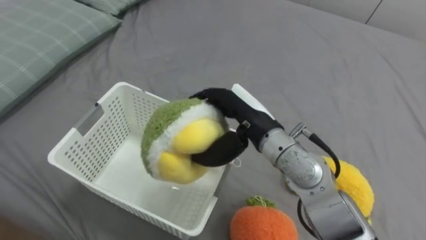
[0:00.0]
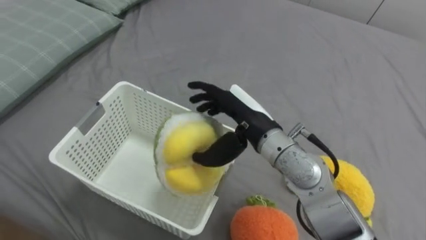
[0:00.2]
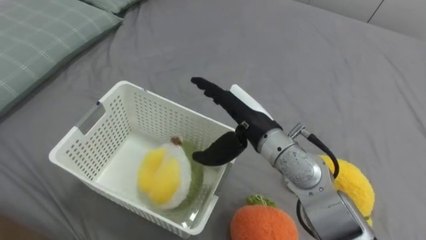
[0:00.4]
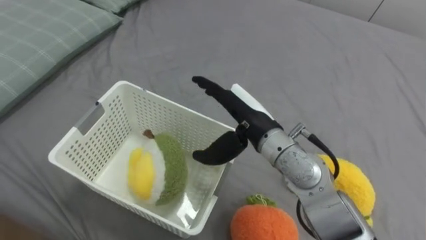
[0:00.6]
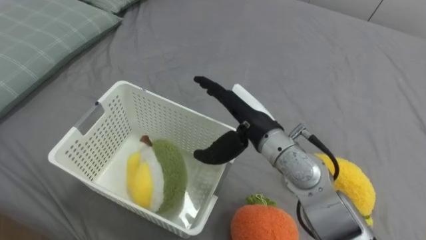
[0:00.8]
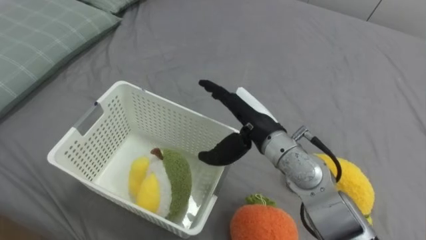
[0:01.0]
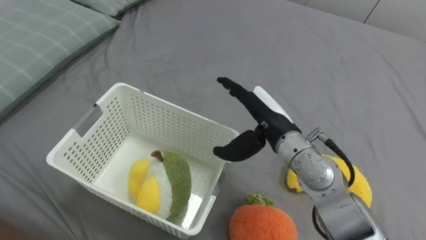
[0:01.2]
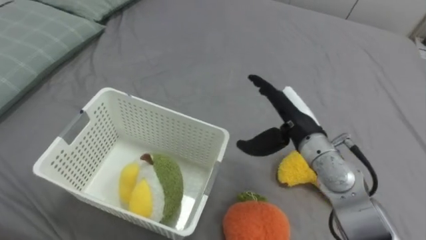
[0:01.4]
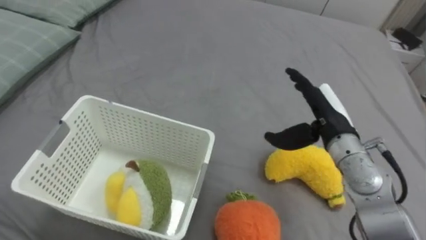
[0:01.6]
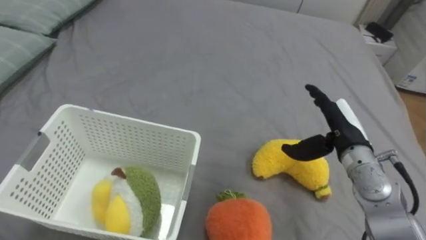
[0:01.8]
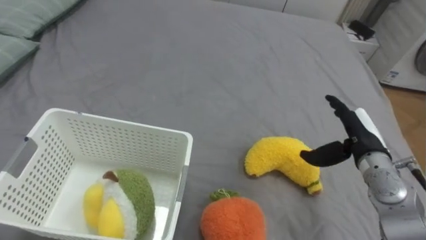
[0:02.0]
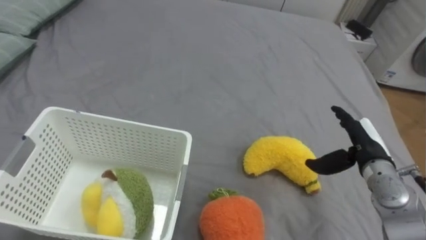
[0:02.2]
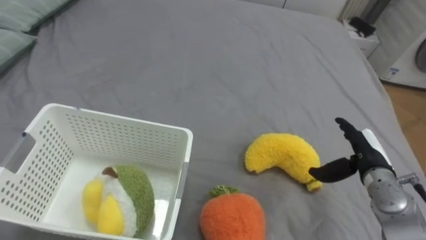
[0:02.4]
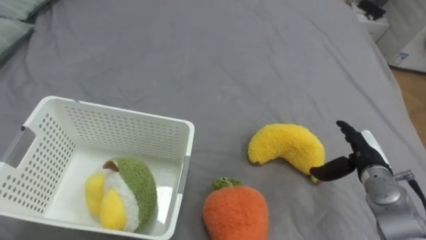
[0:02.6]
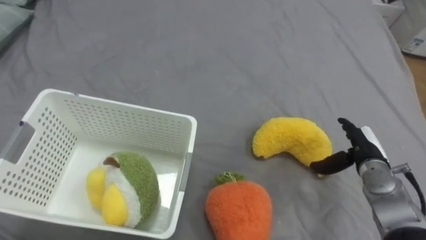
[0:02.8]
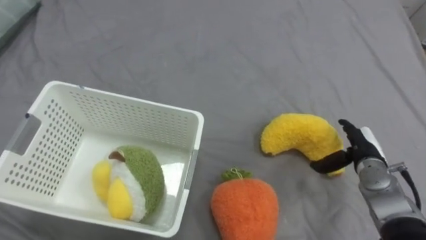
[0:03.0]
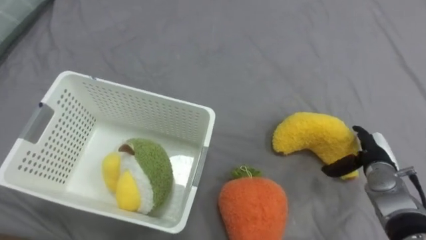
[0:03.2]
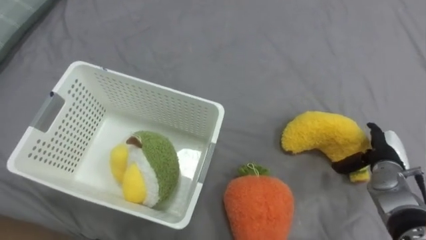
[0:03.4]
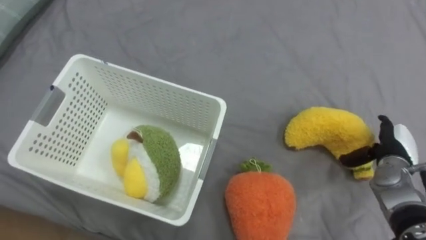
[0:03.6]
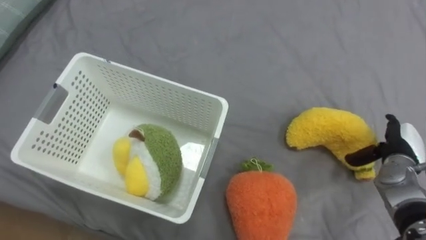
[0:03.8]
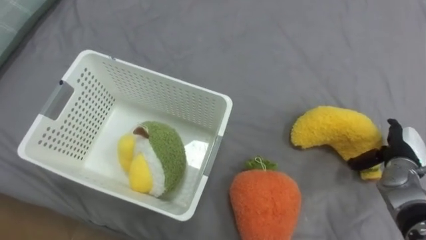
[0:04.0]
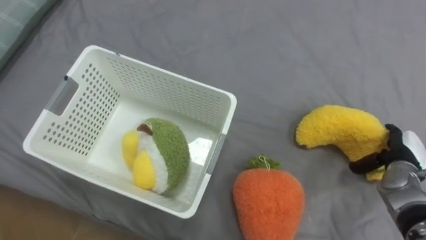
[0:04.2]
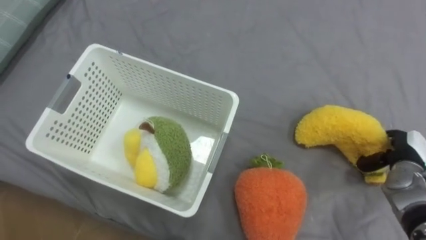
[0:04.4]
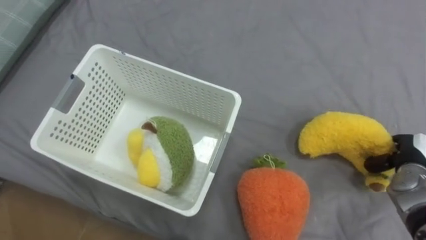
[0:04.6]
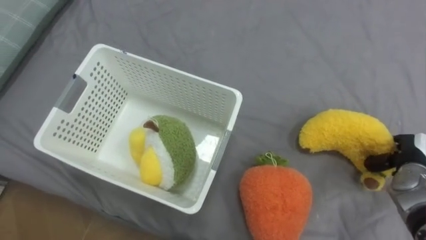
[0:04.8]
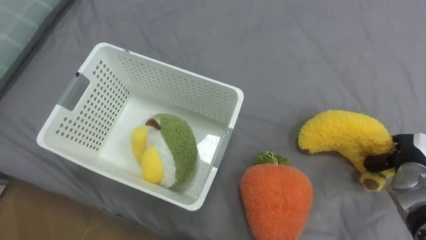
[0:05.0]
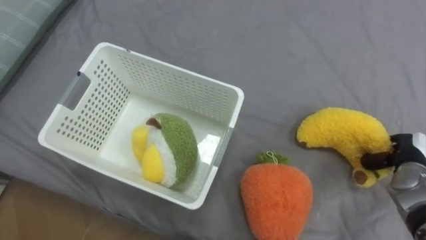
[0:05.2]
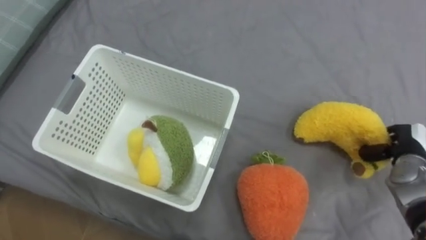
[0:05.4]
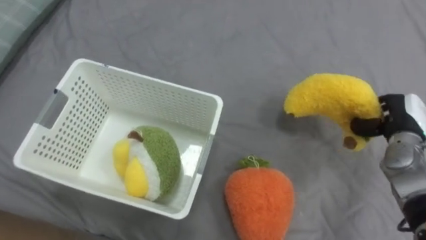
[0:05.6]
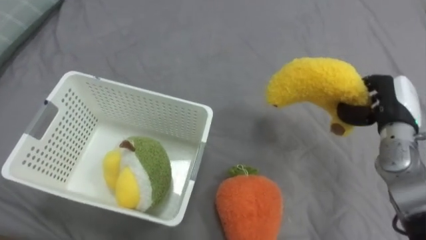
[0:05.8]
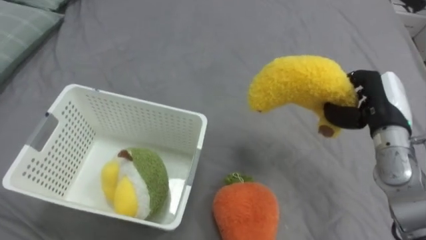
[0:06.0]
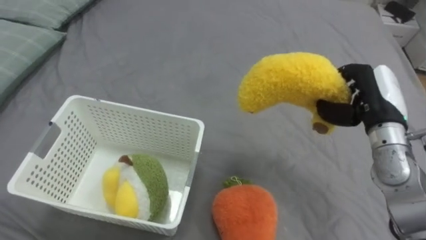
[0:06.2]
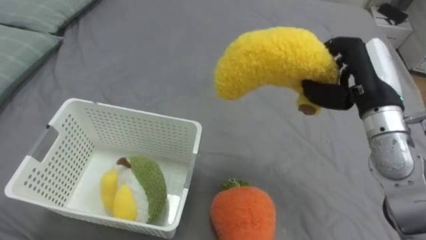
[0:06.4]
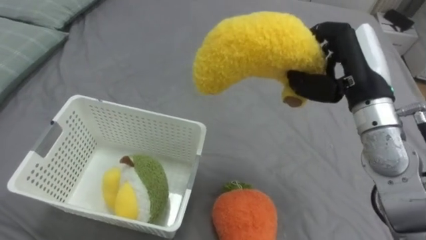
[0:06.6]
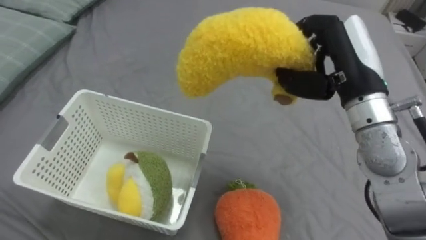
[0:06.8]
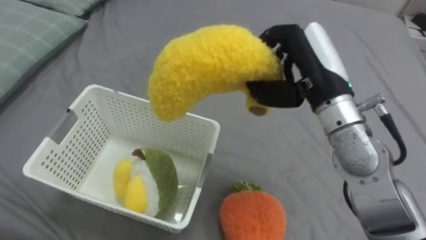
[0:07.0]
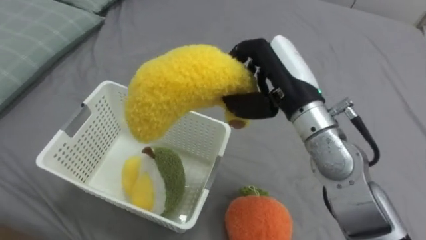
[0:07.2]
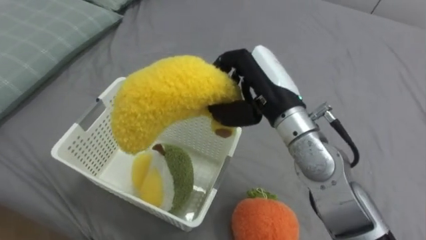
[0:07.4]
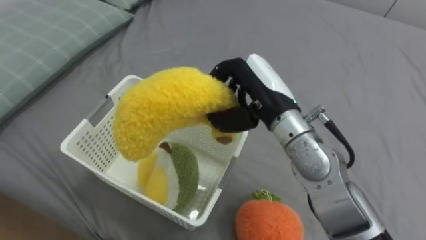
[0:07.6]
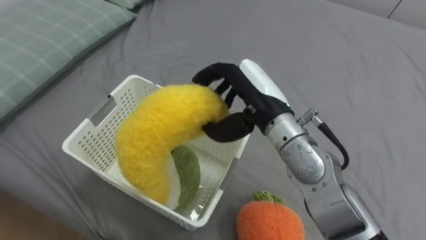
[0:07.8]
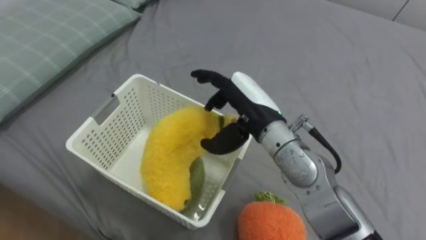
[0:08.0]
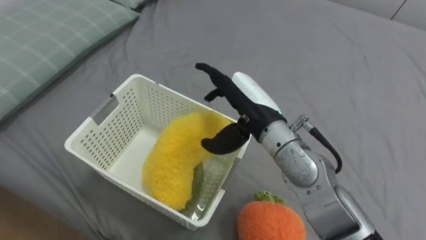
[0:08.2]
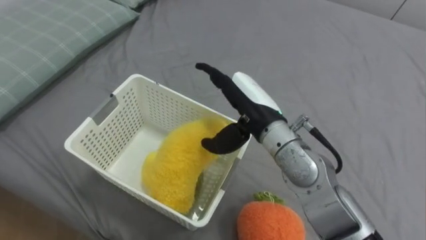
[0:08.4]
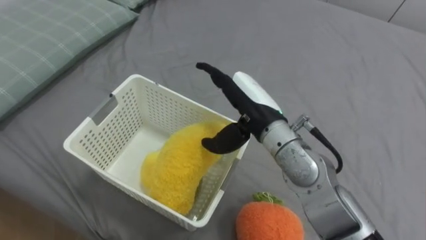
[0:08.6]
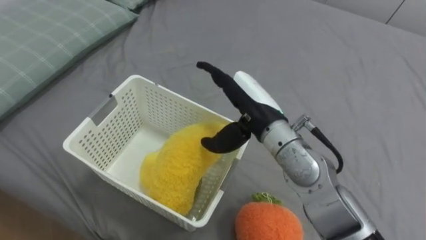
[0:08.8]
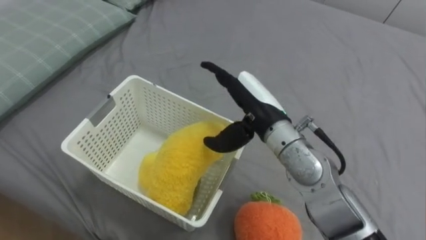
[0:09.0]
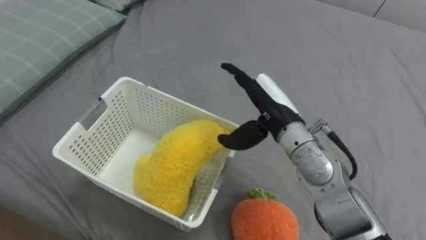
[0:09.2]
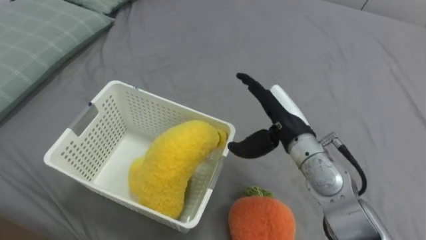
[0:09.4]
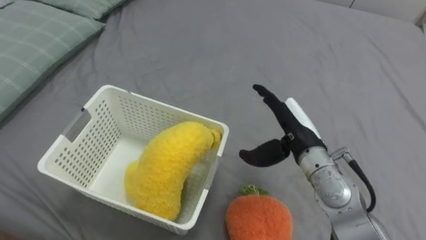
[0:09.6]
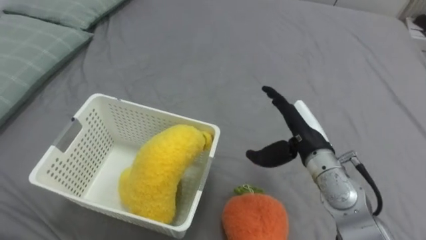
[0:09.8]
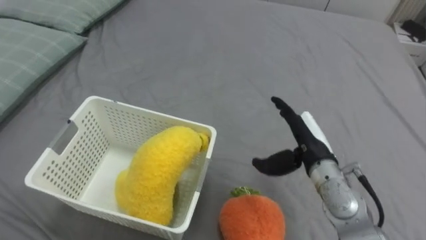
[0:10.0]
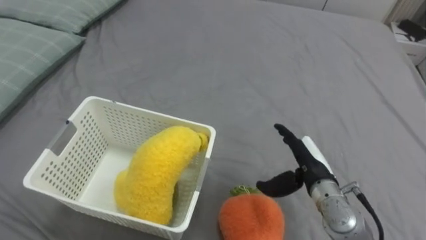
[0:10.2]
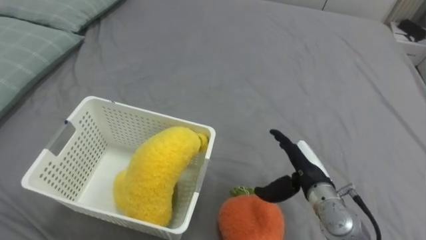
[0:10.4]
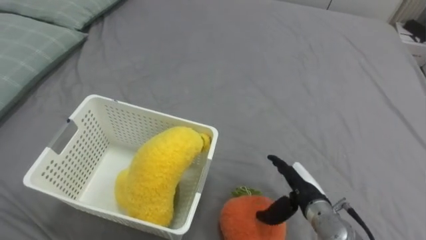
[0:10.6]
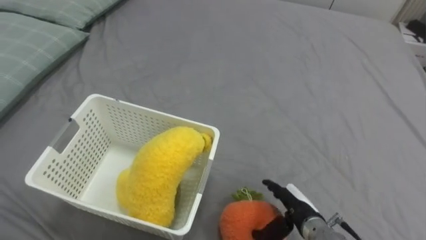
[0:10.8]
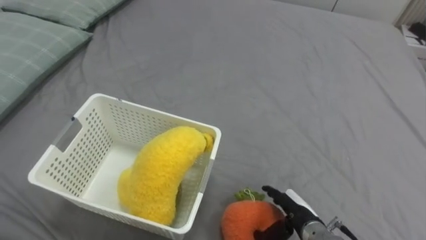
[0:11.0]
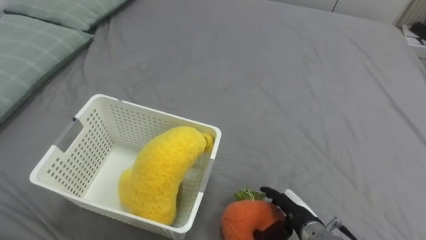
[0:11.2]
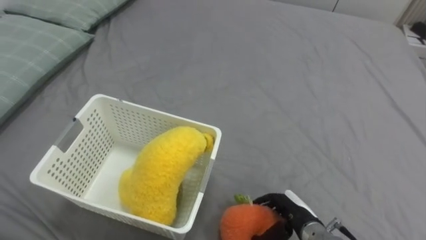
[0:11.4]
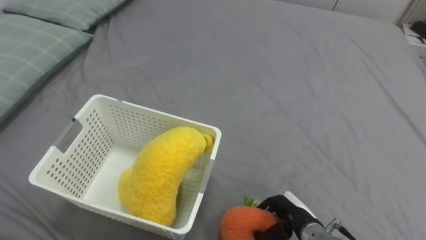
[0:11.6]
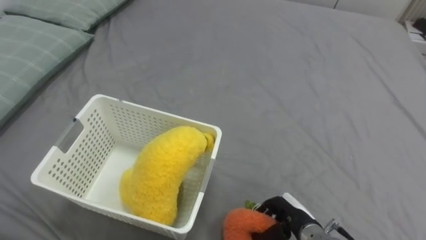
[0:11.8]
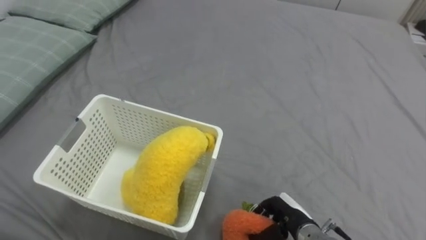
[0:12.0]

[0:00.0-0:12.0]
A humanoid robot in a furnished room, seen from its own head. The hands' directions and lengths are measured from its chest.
Task of the whole recording: Put the toys on the bed into the basket on the left.
0:00.0 to 0:01.6: The right hand shifts roughly 15 cm to the right.
0:01.6 to 0:03.0: The right hand heads downward and to the right, covering roughly 15 cm.
0:03.0 to 0:04.4: The right hand shifts about 5 cm to the right, and closes its fingers.
0:04.4 to 0:06.0: The right hand is displaced upward and to the left by approximately 15 cm.
0:06.0 to 0:07.6: The right hand is displaced to the left by some 20 cm.
0:07.6 to 0:09.0: The right hand opens.
0:09.0 to 0:10.4: The right hand heads downward and to the right, covering about 20 cm.
0:10.4 to 0:12.0: The right hand travels downward and backward by some 10 cm, and closes up.

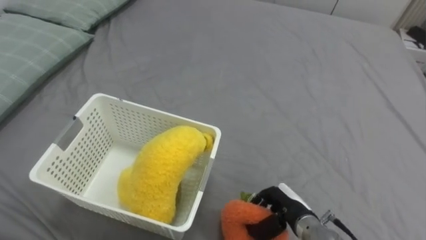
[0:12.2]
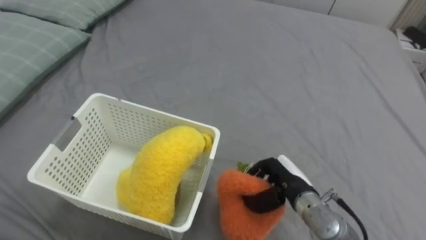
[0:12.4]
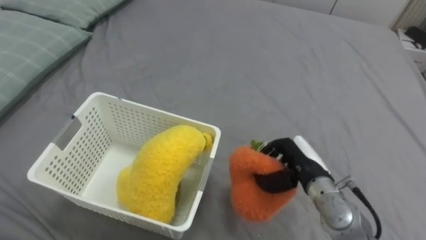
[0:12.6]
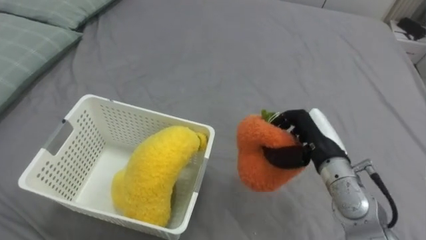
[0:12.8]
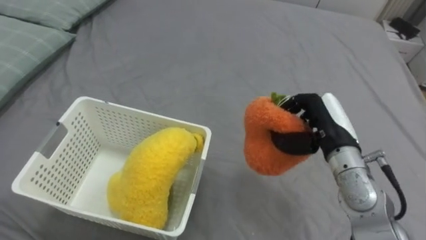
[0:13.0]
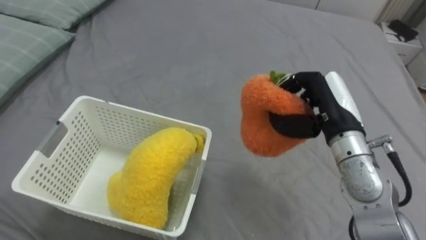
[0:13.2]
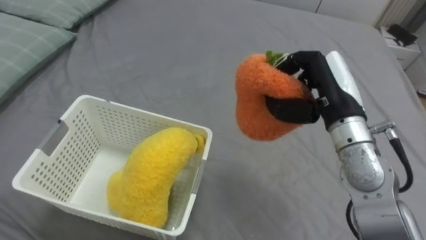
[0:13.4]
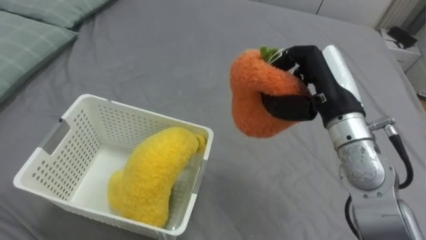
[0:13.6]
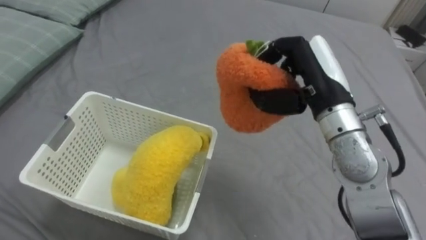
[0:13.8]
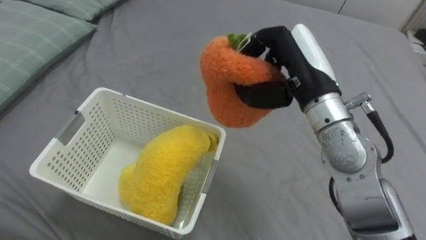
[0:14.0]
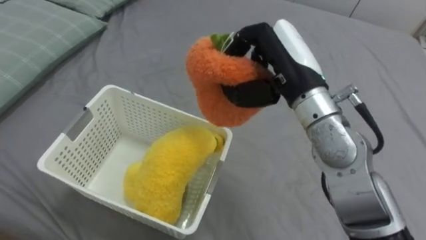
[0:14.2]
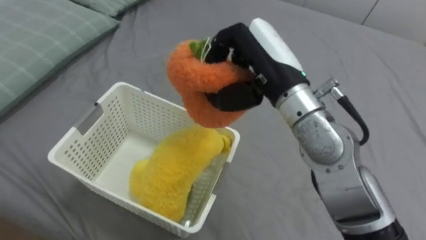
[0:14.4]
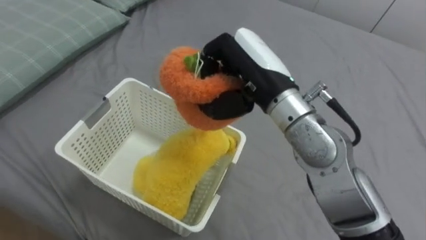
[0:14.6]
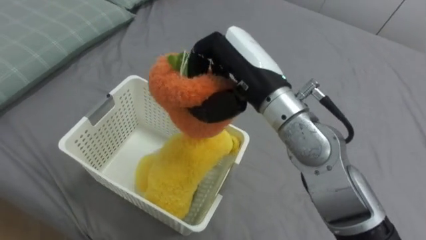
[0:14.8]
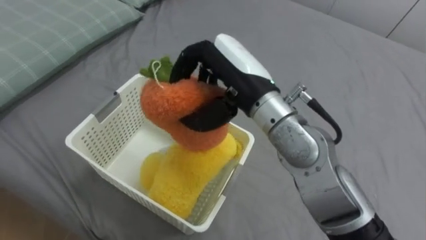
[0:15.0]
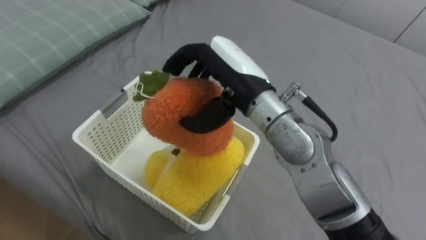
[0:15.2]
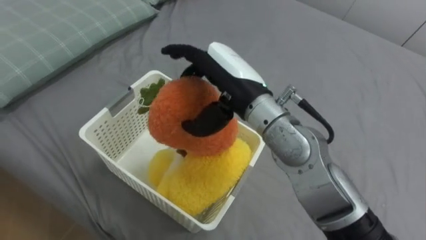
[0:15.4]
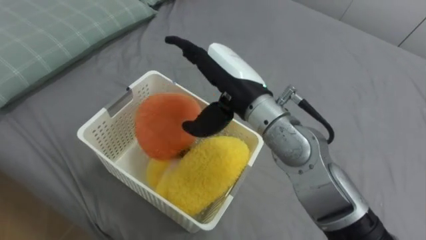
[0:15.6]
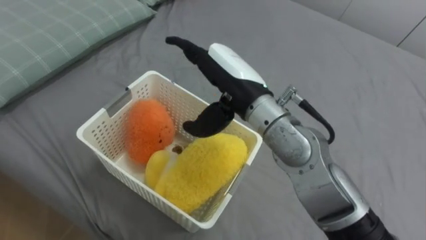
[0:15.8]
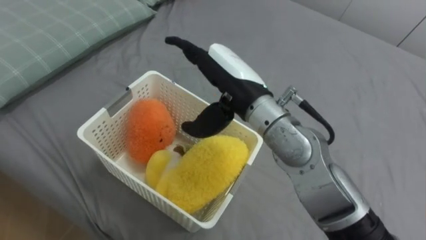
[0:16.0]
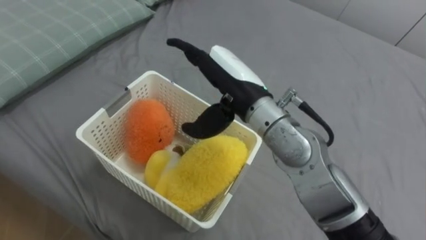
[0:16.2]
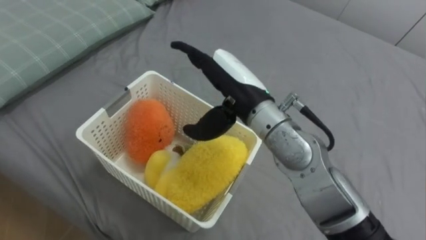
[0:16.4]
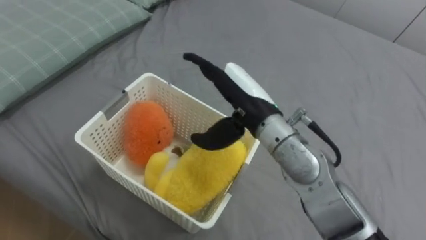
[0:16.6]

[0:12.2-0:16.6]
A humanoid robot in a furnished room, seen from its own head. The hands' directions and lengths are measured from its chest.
Task of the whole recording: Put the toys on the bed into the basket on the left.
0:12.2 to 0:13.6: The right hand shifts some 25 cm upward.
0:13.6 to 0:15.2: The right hand shifts roughly 15 cm to the left.
0:15.2 to 0:16.6: The right hand opens.
